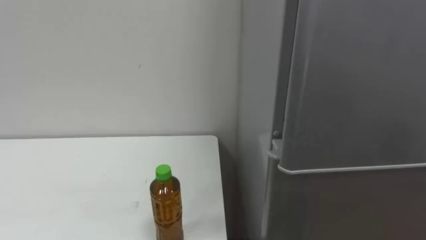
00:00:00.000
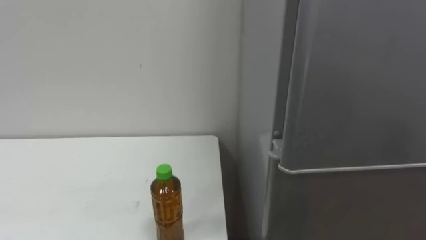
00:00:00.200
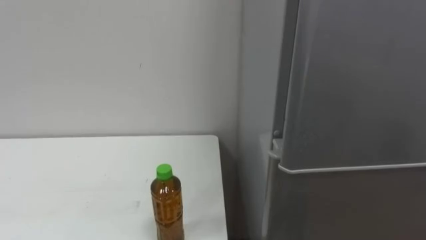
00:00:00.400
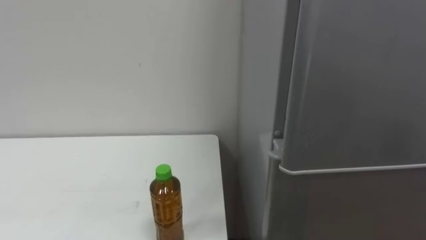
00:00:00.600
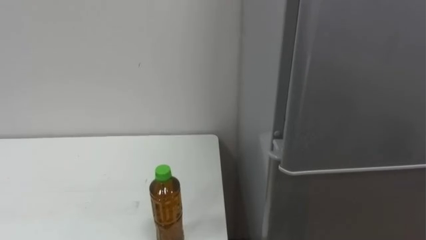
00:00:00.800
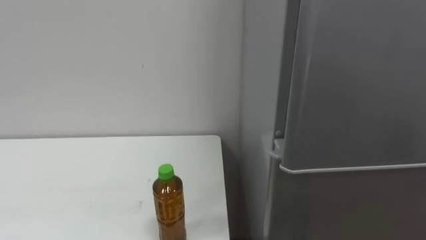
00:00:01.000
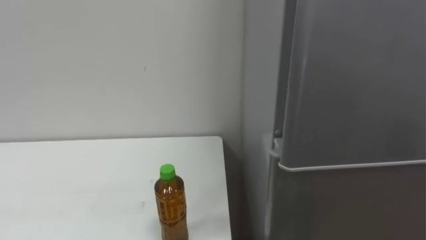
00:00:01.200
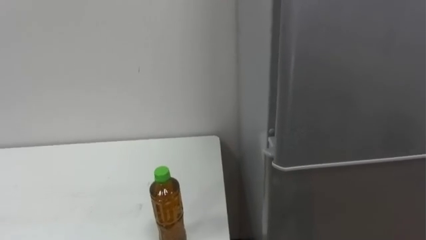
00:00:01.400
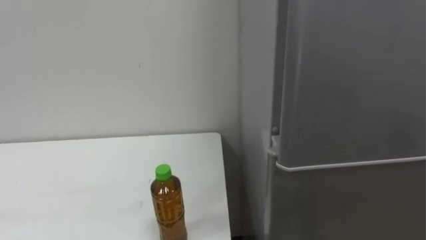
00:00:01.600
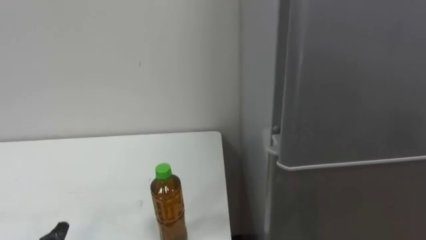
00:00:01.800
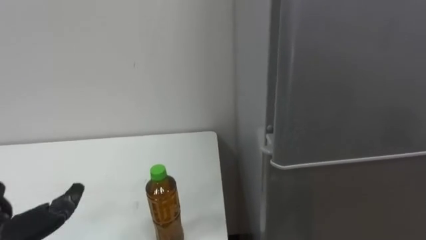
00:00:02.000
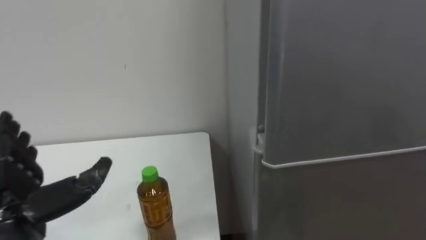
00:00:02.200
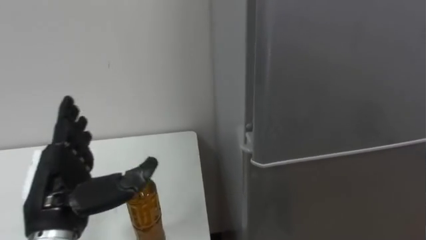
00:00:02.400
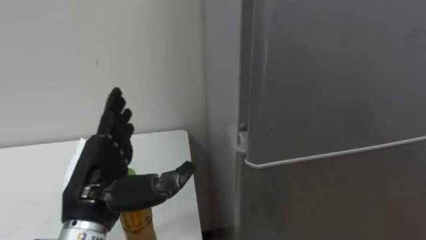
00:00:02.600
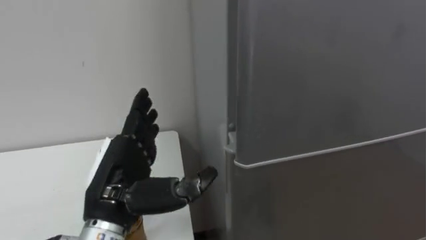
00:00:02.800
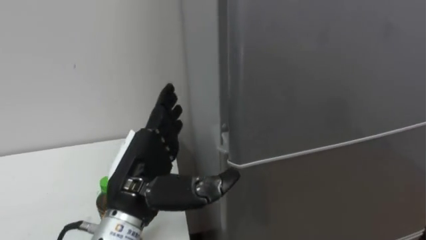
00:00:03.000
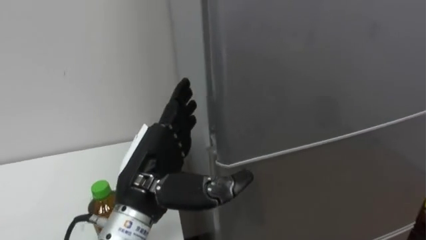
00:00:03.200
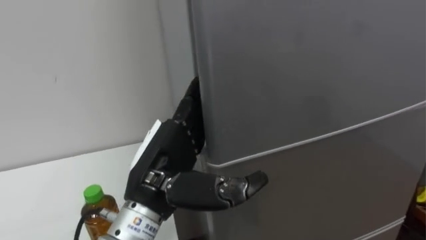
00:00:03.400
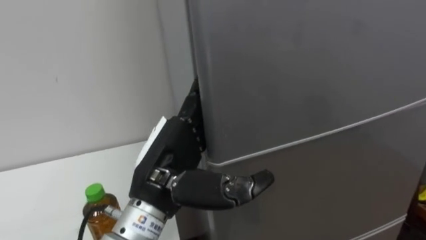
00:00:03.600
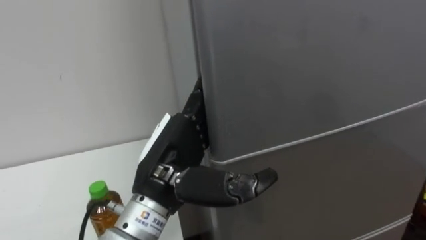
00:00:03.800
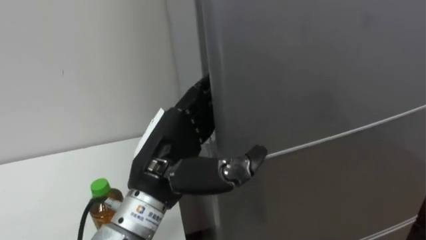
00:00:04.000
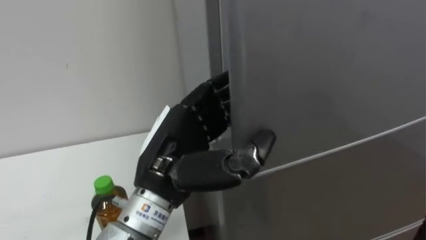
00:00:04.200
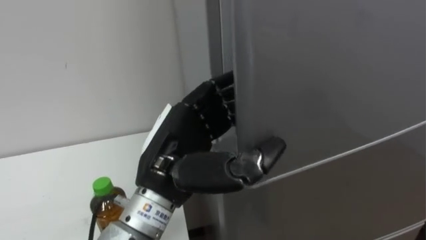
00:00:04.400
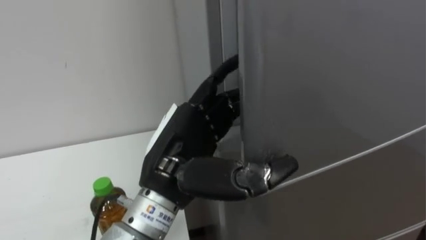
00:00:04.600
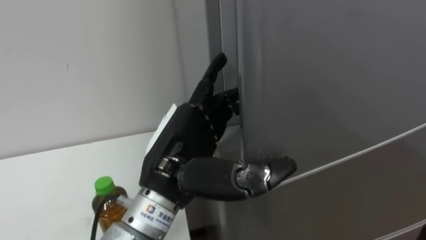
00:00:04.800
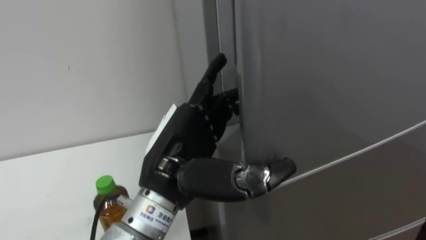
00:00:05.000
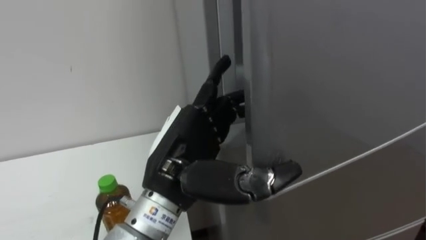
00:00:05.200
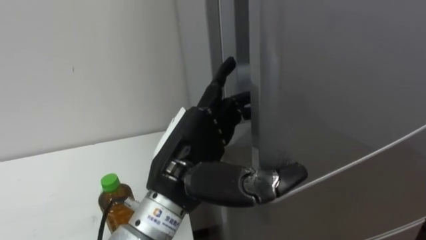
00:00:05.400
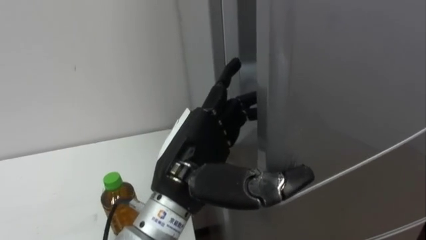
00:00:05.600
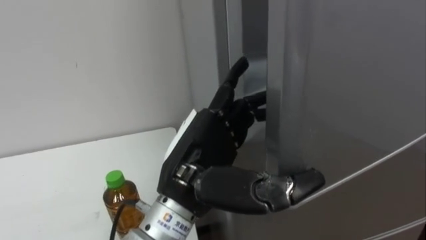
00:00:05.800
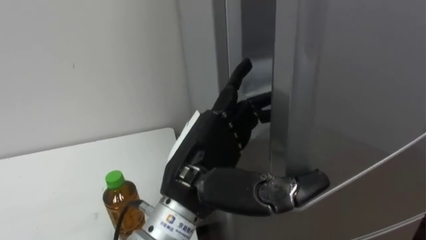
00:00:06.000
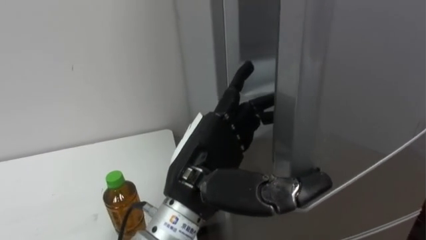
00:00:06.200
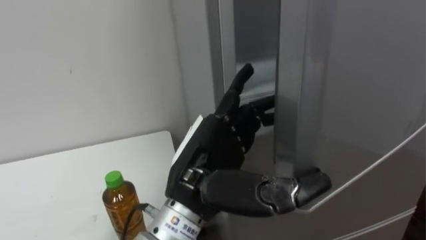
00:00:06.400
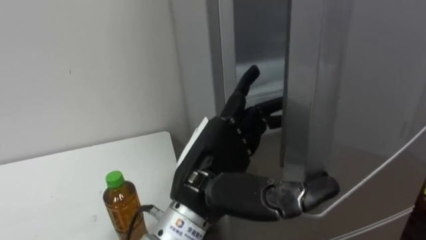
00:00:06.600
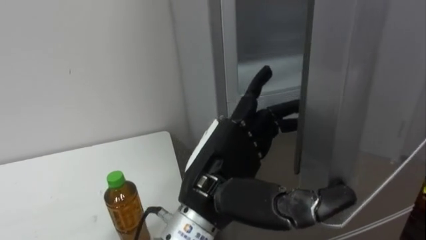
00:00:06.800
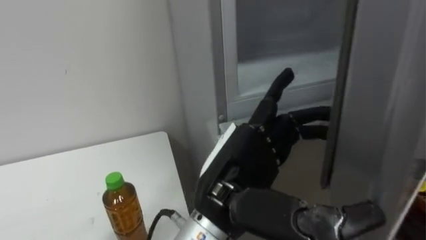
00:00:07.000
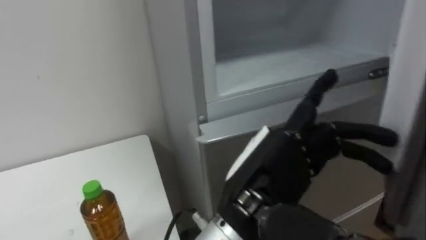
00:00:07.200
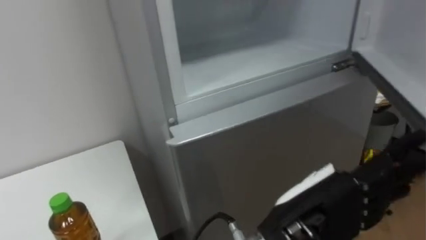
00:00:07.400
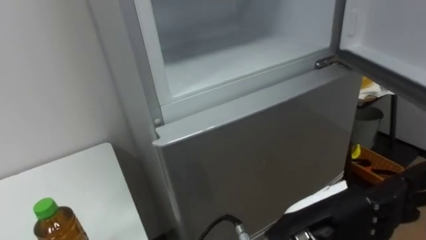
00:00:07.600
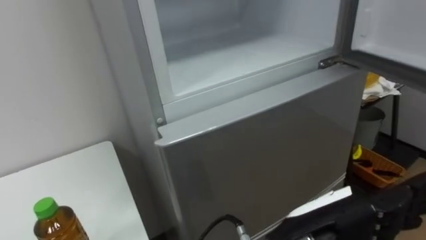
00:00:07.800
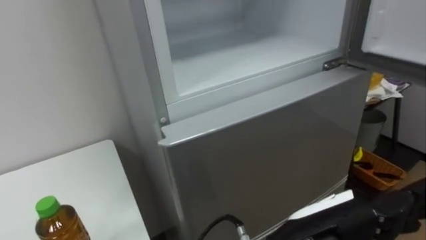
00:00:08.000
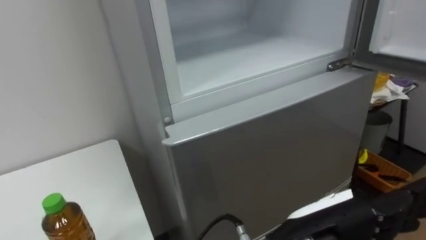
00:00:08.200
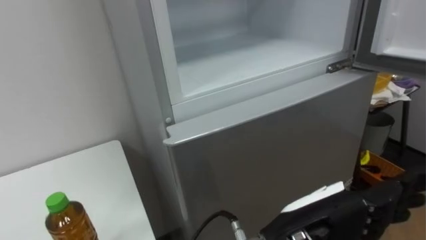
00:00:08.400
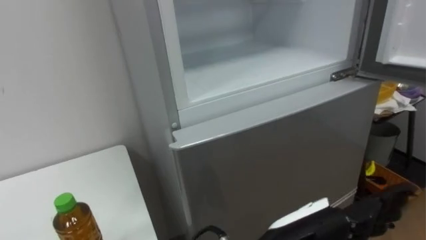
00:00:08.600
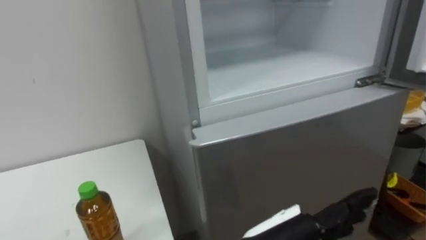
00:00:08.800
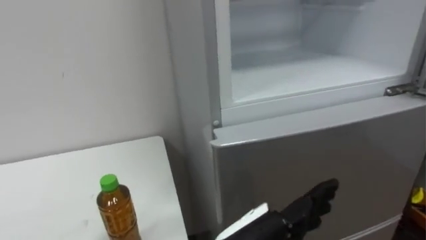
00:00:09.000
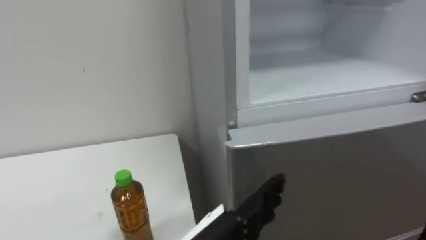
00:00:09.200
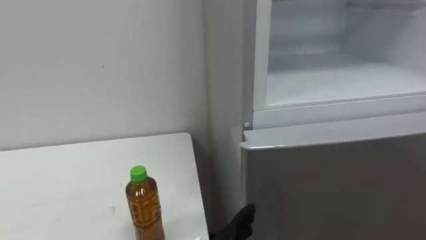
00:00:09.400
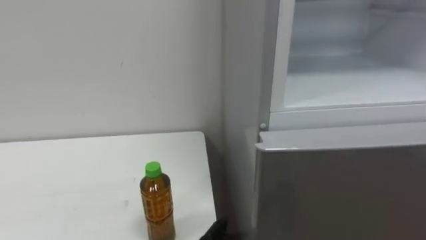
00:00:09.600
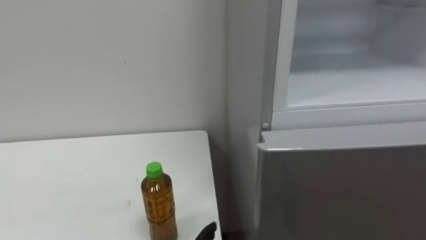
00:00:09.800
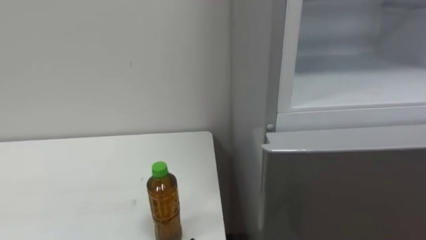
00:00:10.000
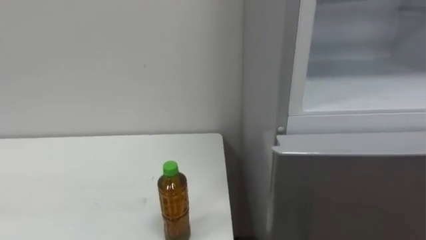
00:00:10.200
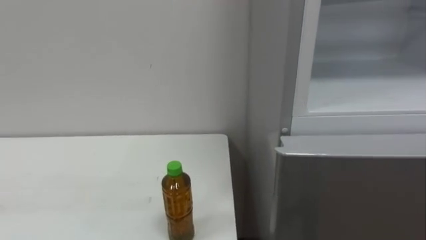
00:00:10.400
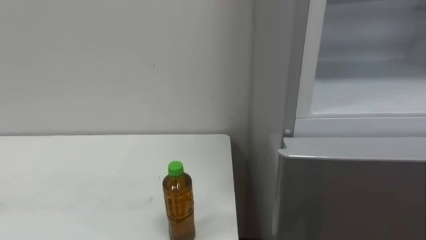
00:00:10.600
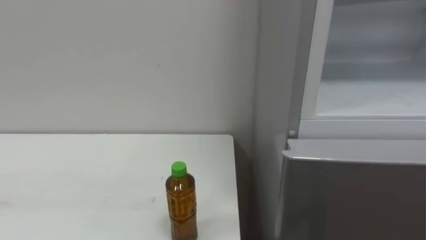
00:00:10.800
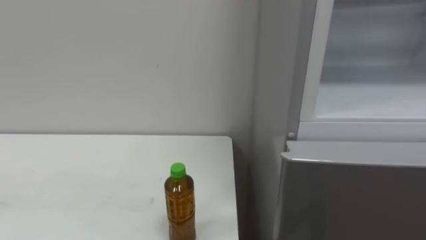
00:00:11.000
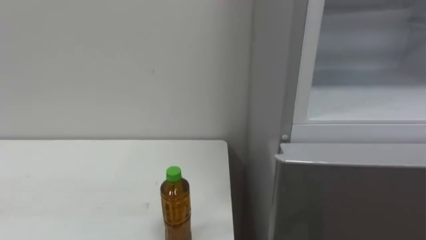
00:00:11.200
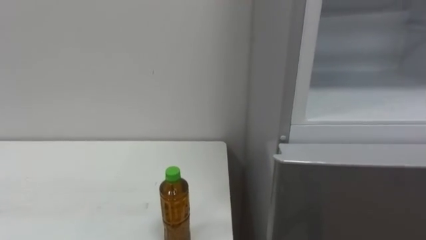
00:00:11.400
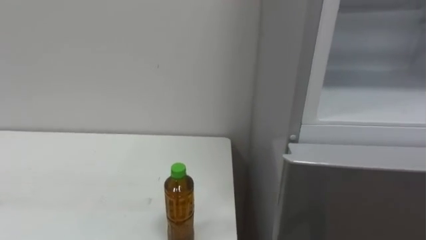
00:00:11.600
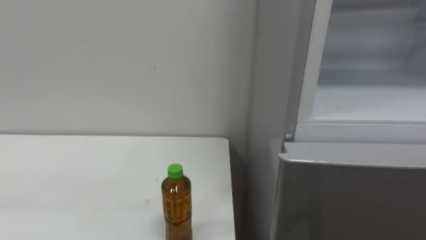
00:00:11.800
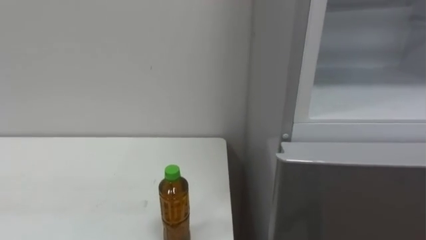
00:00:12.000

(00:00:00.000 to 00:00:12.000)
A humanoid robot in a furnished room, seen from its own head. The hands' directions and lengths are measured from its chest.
Task of the whole recording: Open the upper refrigerator door, put the drink from the table into the refrigerator, and then close the refrigerator door.
00:00:03.000 - 00:00:04.400: The left hand shifts some 5 cm to the right.
00:00:06.000 - 00:00:07.600: The left hand shifts roughly 15 cm to the right and backward.
00:00:07.600 - 00:00:09.000: The left hand shifts some 5 cm to the left.

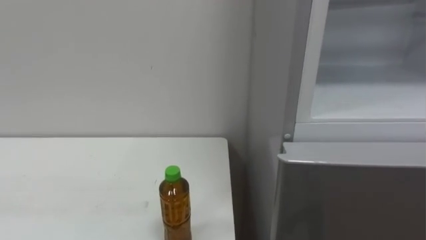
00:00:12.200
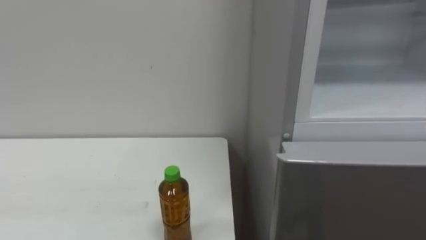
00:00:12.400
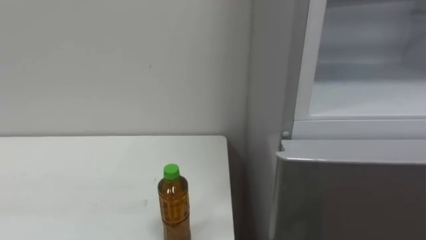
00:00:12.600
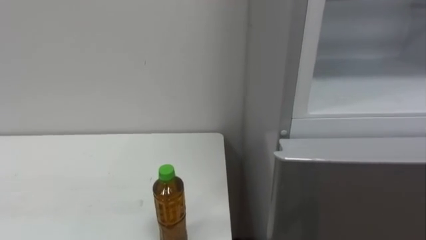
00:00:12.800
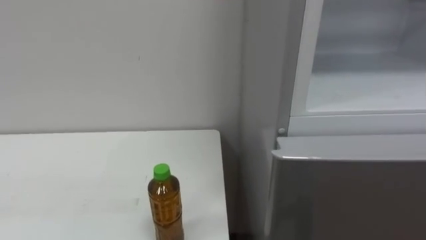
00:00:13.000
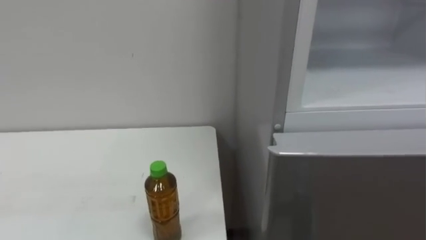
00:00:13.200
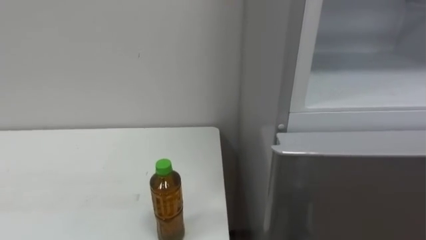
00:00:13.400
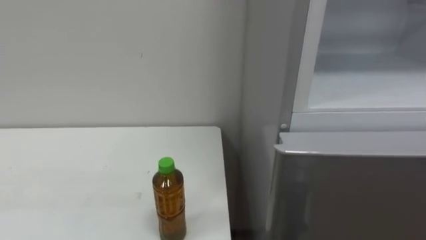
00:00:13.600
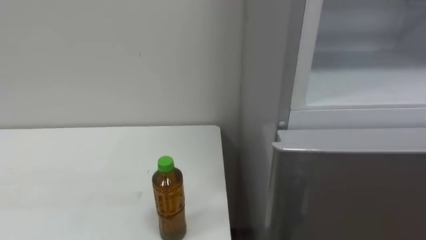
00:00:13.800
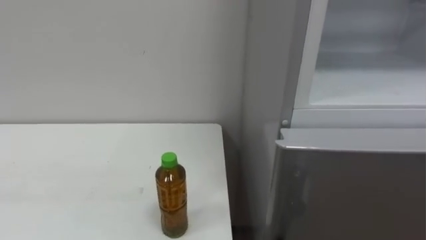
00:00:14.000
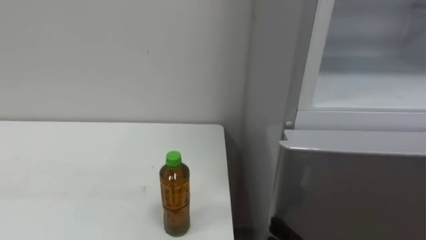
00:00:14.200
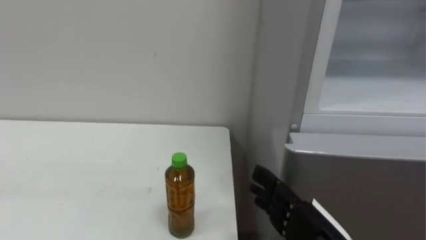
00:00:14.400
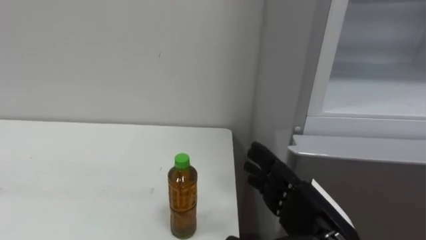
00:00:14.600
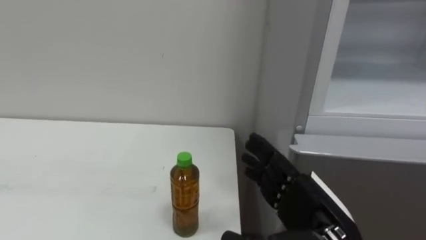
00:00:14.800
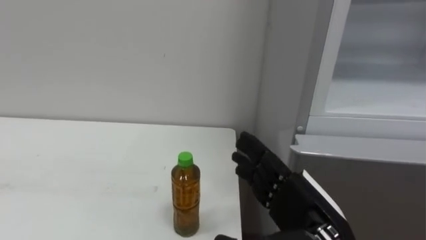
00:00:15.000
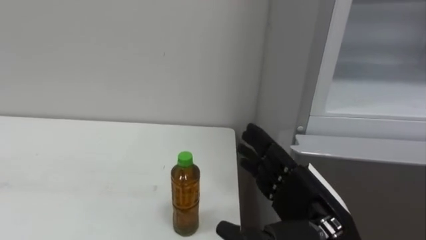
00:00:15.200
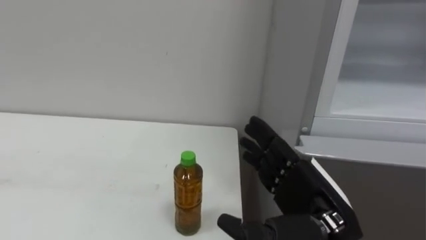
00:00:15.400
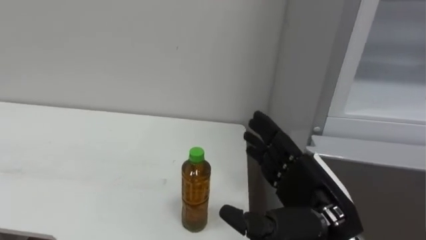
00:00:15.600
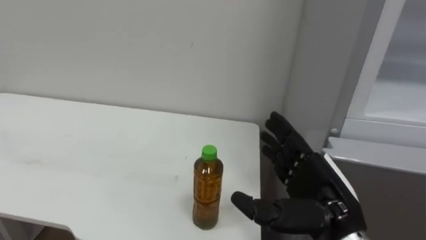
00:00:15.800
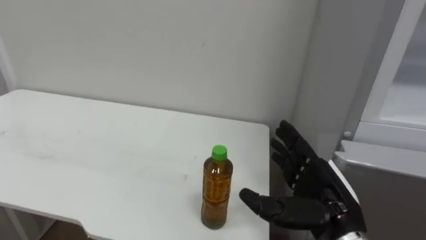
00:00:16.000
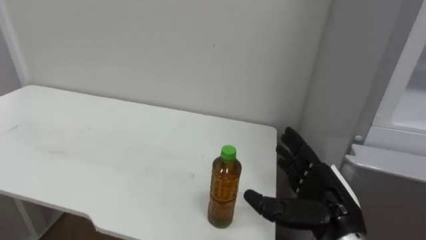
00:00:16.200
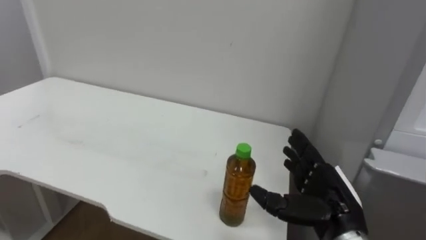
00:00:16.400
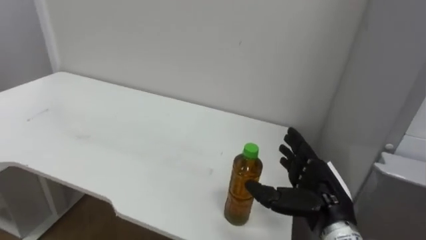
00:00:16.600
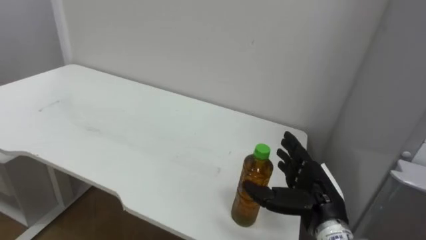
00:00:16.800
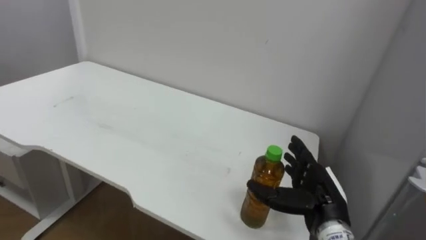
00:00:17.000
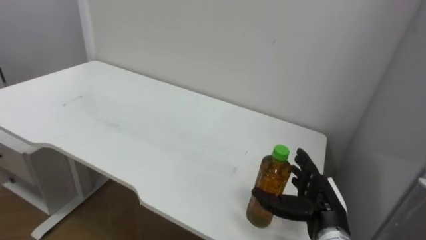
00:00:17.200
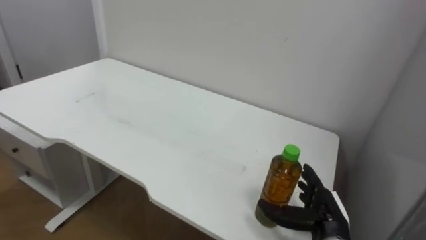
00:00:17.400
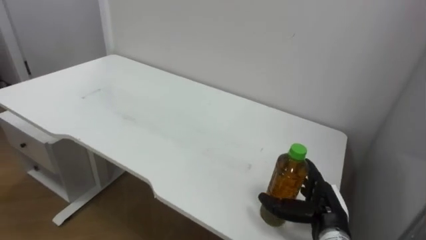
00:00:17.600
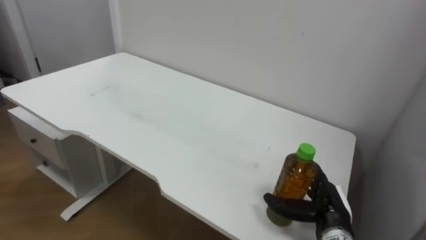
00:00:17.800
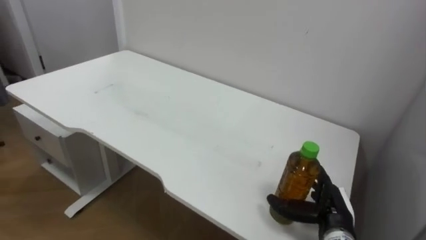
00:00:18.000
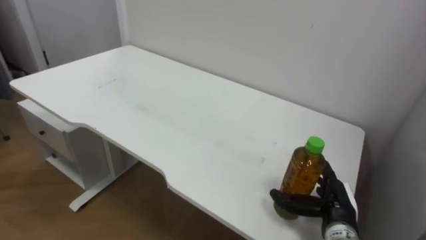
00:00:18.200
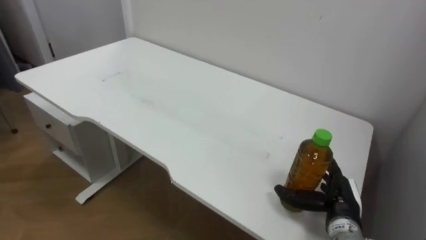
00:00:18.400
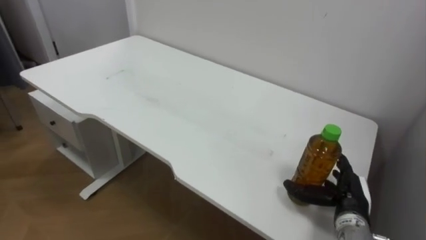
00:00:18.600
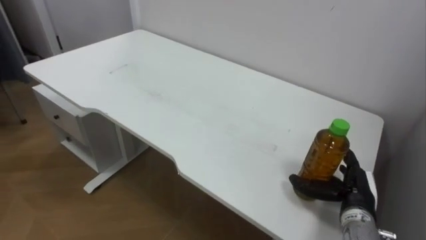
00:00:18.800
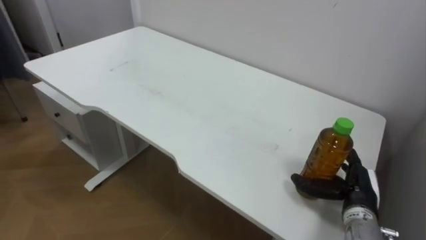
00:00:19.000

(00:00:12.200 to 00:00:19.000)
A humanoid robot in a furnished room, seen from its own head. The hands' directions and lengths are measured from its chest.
Task of the whole recording: Open the upper refrigerator door, put the drink from the table into the refrigerator, and then close the refrigerator door.
00:00:15.000 - 00:00:16.200: The right hand shifts by some 5 cm.
00:00:16.200 - 00:00:17.600: The right hand travels downward by roughly 10 cm.
00:00:17.600 - 00:00:19.000: The right hand is displaced to the right by about 5 cm.
